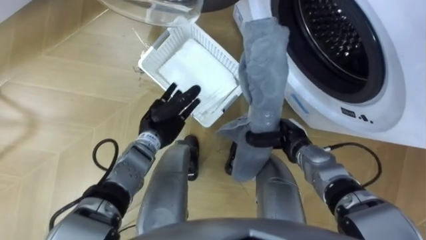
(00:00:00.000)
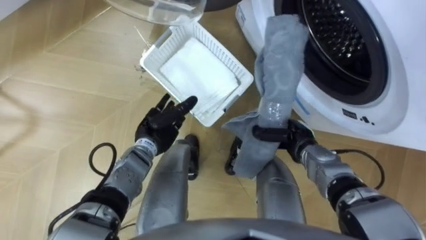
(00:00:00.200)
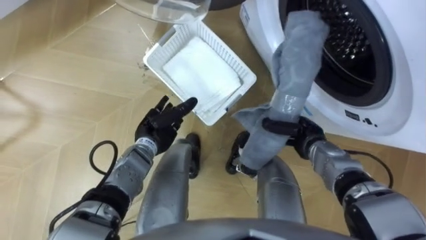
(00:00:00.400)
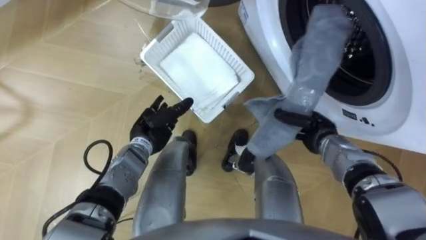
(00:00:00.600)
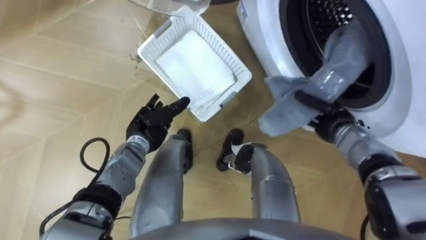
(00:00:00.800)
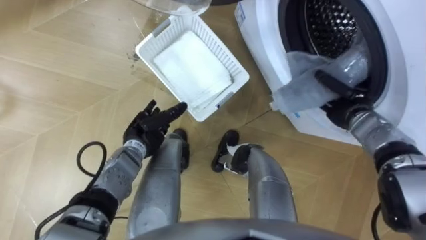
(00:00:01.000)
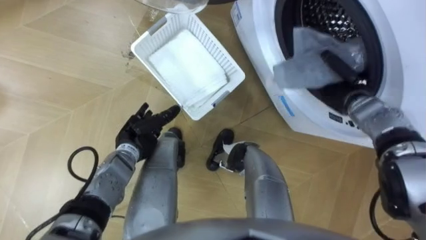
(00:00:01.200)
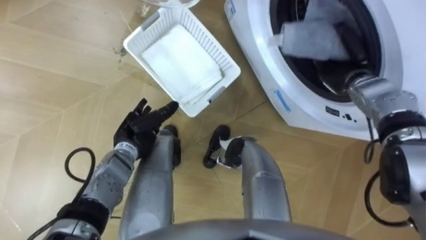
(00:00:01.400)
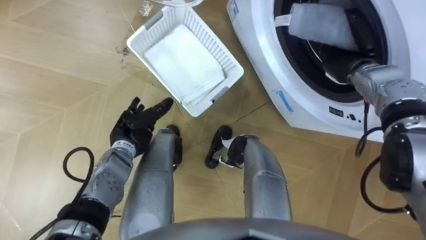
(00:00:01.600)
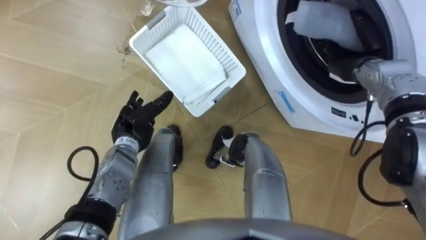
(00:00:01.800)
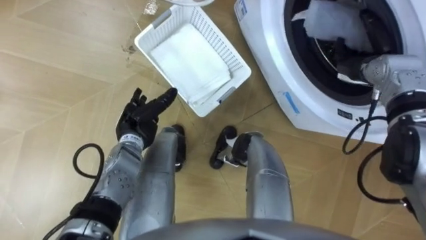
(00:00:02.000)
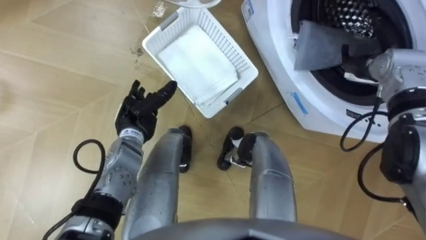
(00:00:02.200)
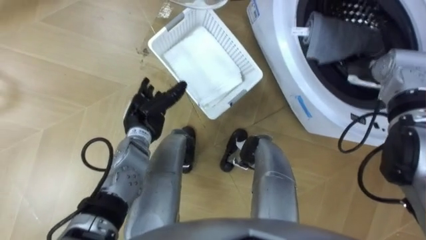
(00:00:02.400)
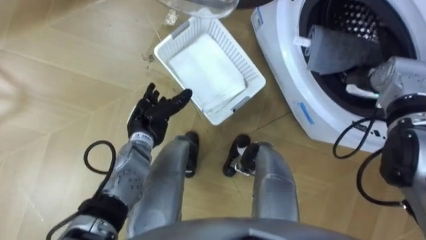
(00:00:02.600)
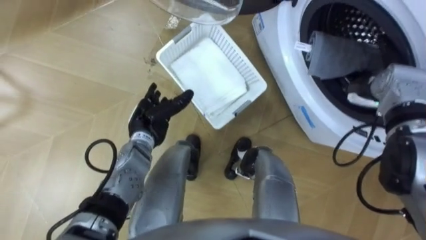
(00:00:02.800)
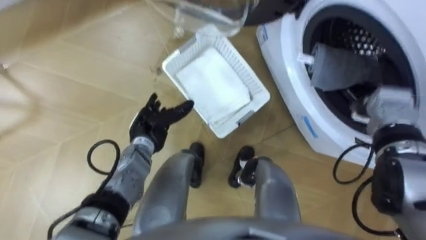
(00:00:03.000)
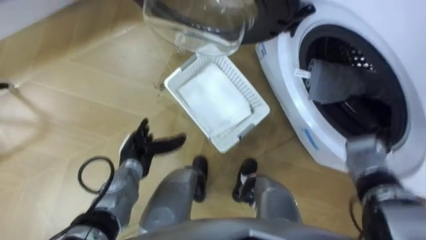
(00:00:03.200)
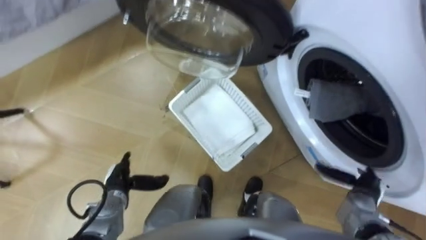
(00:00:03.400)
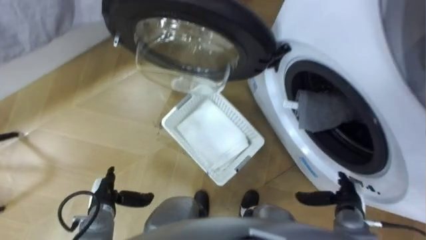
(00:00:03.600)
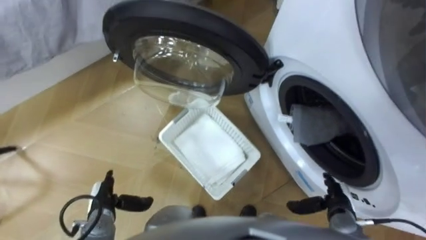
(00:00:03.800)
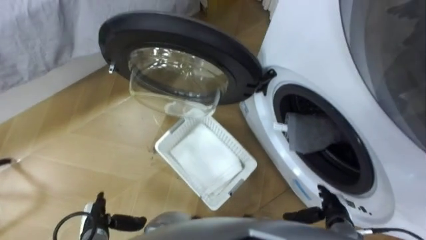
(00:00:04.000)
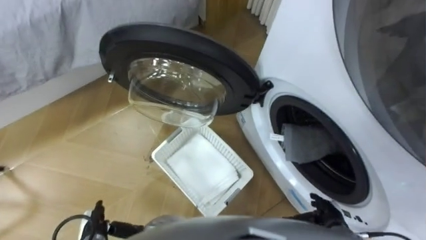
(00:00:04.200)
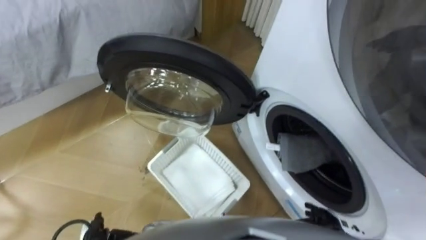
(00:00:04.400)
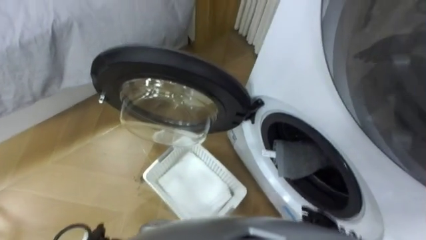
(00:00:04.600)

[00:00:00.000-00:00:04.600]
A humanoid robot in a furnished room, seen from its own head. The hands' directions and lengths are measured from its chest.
Task of the whole recording: Take the towel from the basket and put it into the washing machine.
00:00:00.000 to 00:00:01.600: The right hand is displaced forward, upward and to the right by some 20 cm. The left hand goes some 5 cm to the left.
00:00:01.600 to 00:00:03.000: The right hand heads backward and to the right, covering approximately 10 cm, and opens up.
00:00:03.000 to 00:00:04.600: The right hand heads backward and downward, covering some 30 cm.
